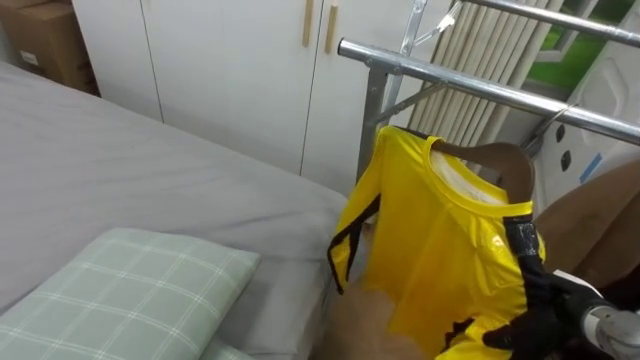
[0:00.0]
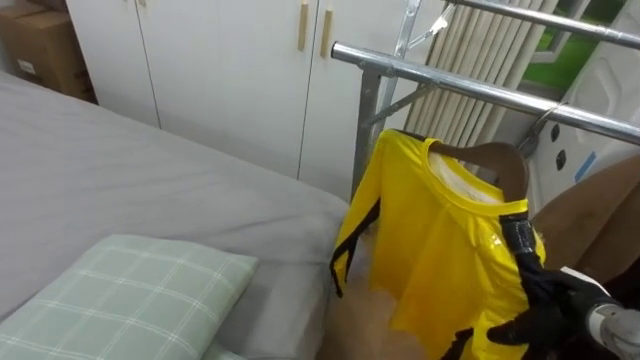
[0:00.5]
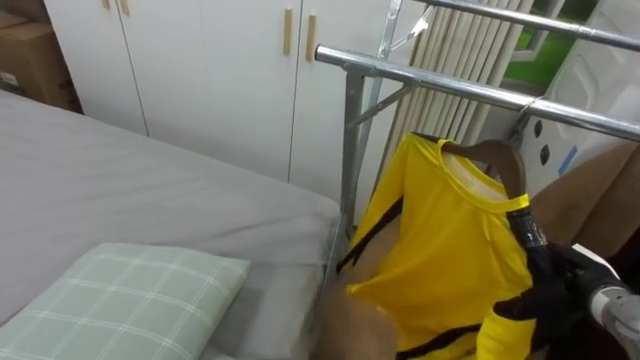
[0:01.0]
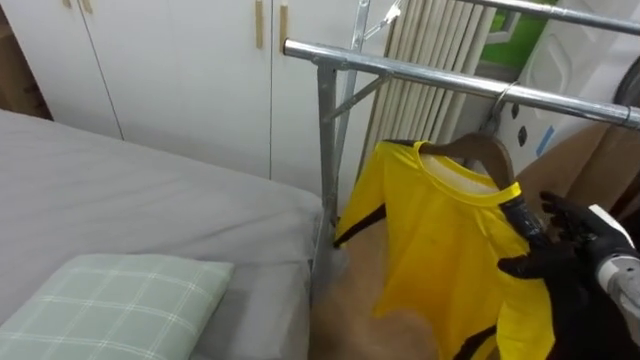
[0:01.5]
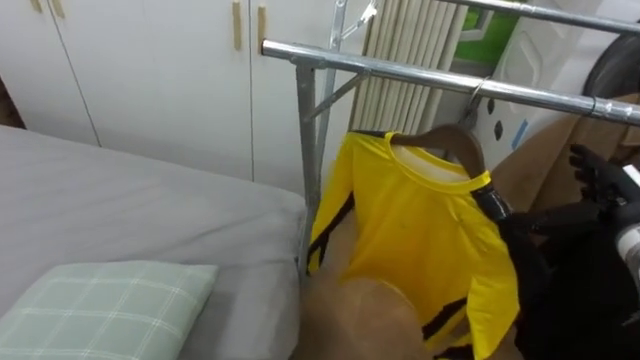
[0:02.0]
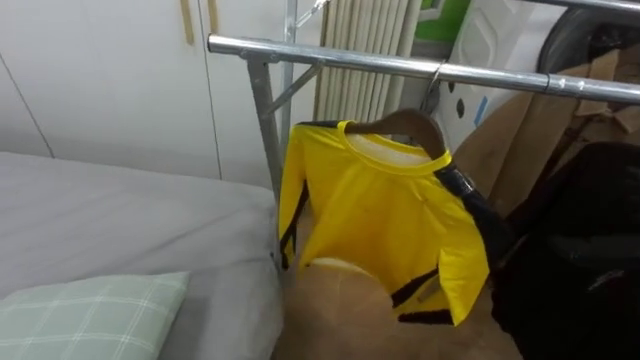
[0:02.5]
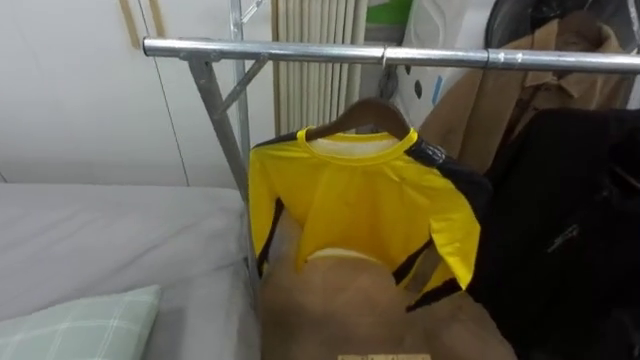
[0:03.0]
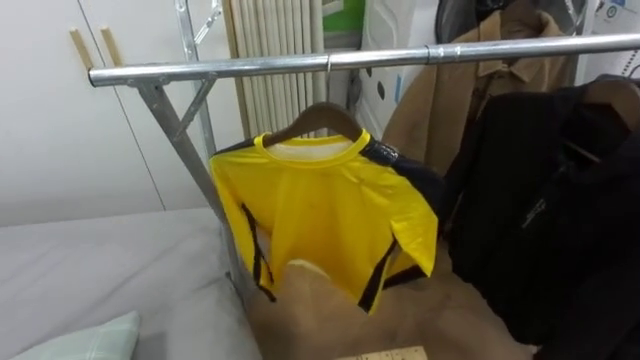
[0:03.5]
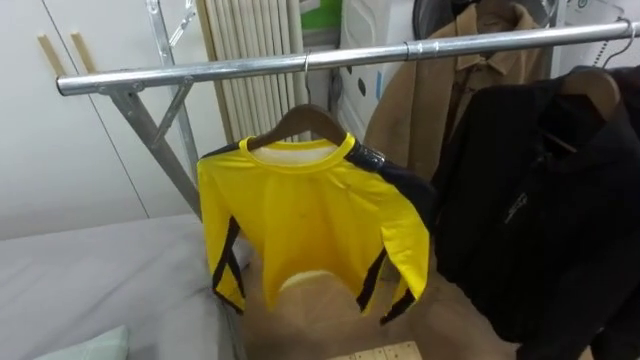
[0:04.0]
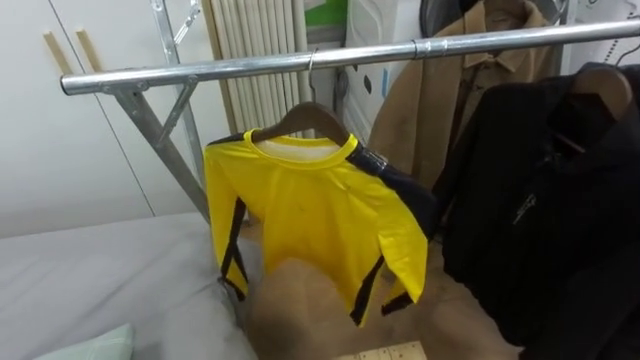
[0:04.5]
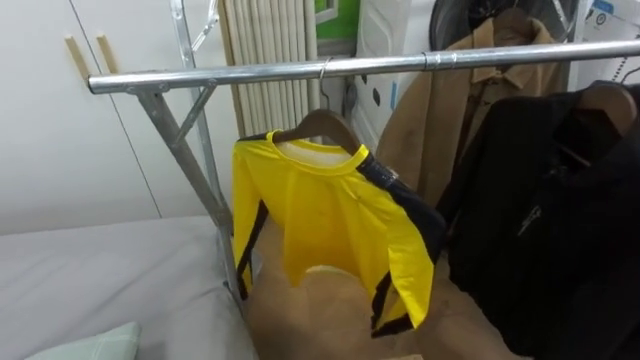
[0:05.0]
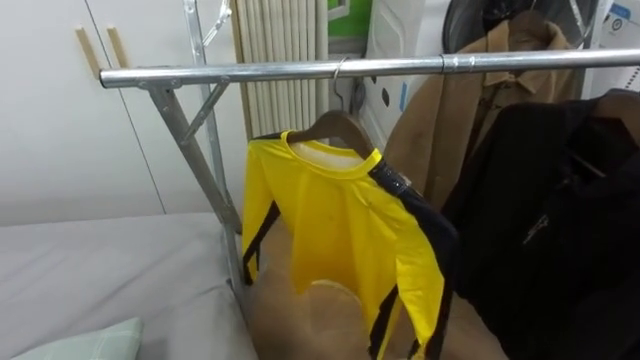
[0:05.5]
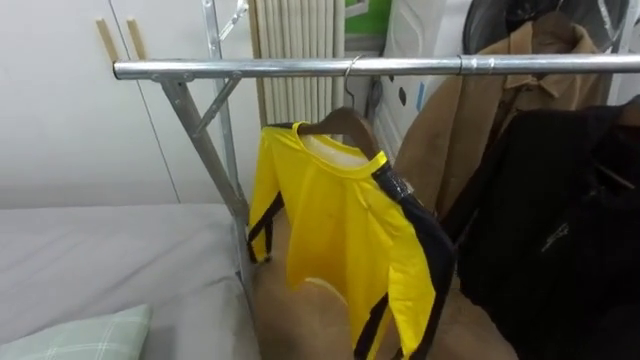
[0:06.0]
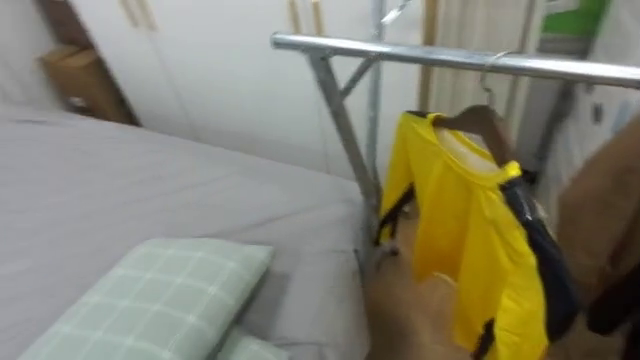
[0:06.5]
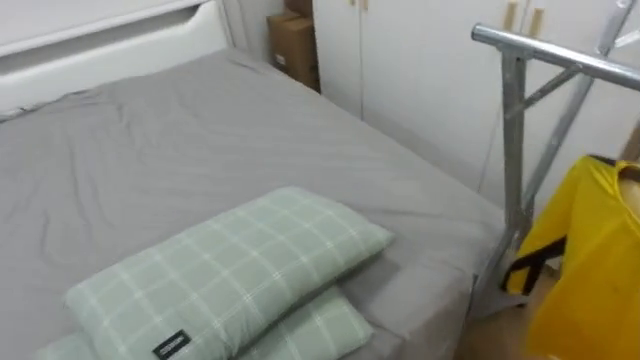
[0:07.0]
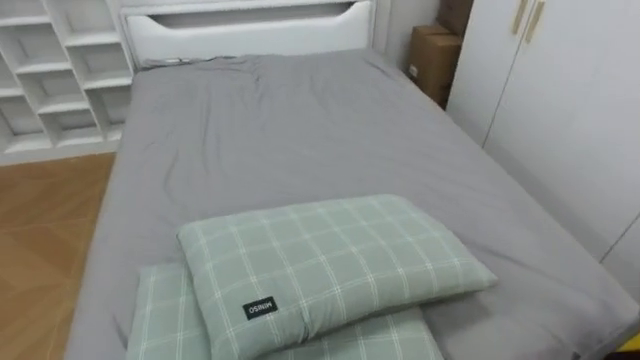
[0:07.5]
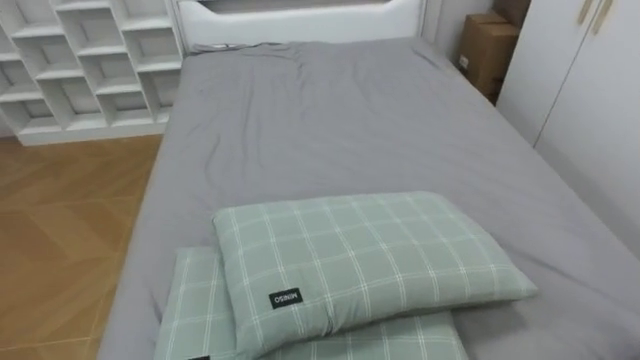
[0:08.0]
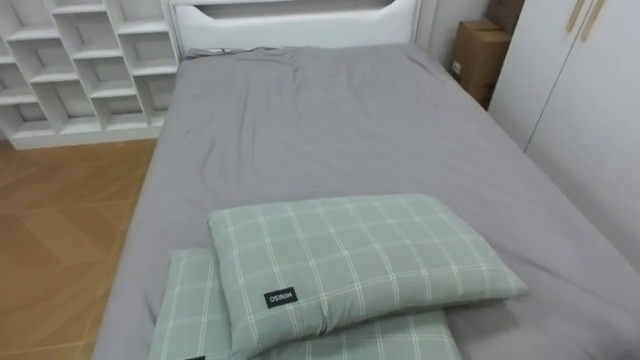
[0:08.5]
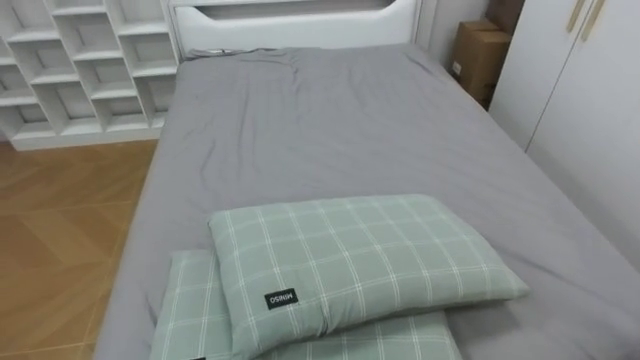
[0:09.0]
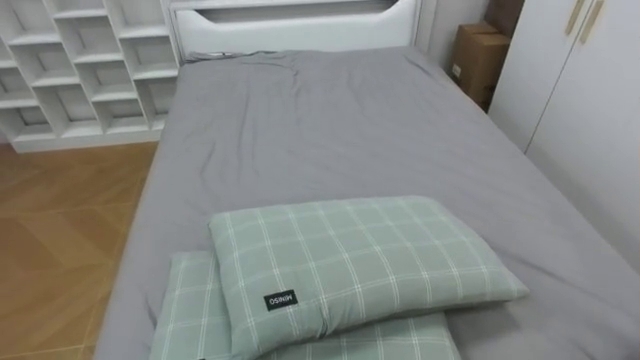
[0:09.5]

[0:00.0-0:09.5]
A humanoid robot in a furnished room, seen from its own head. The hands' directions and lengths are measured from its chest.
Task of the whole recording: Pick up the yellow shirt on the bed and hang it on the clothes rack on the right.
0:00.0 to 0:02.0: The right hand is displaced upward and forward by some 15 cm.
0:05.5 to 0:07.5: The robot rotates about 80 degrees to its left.

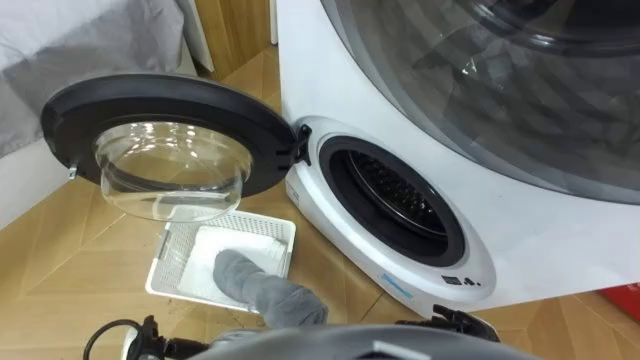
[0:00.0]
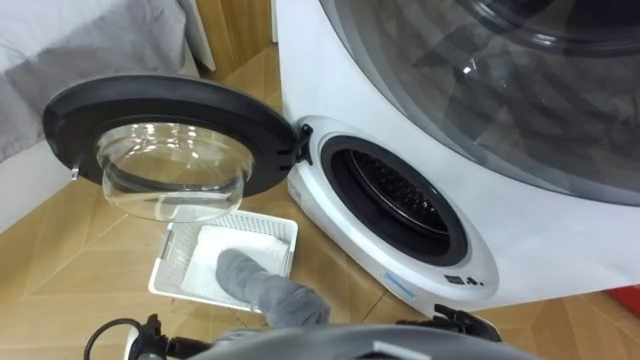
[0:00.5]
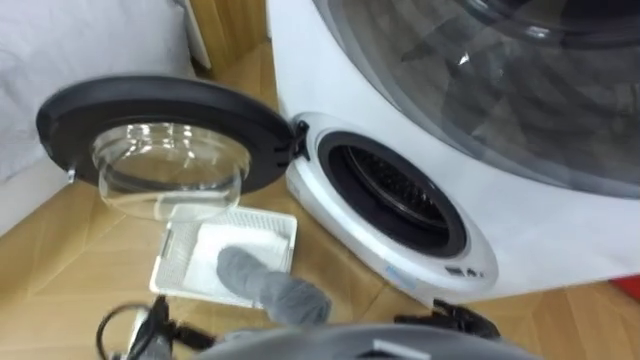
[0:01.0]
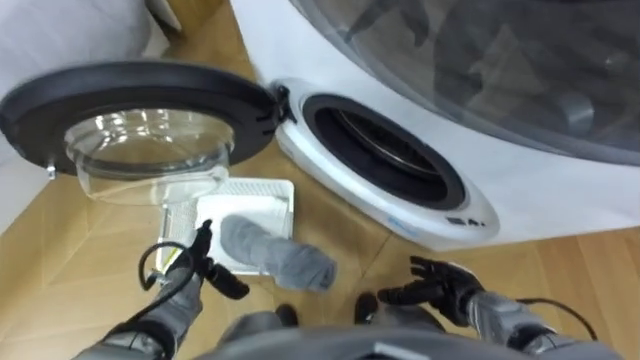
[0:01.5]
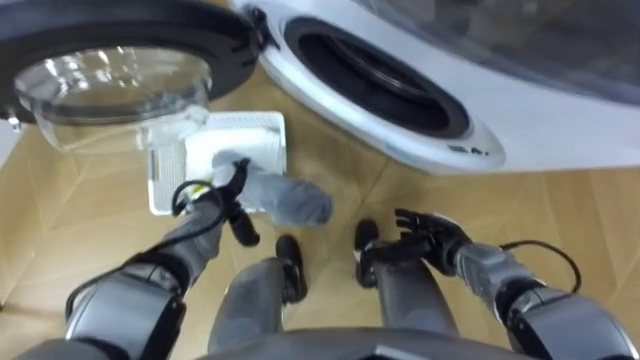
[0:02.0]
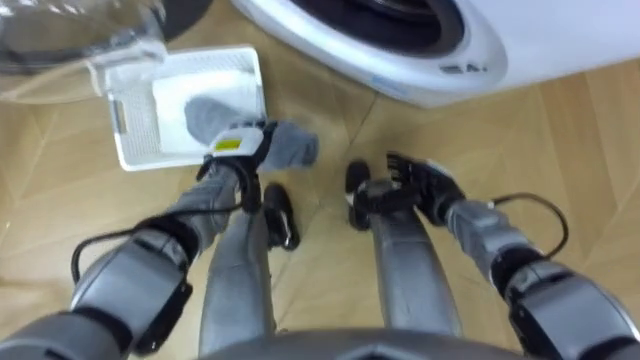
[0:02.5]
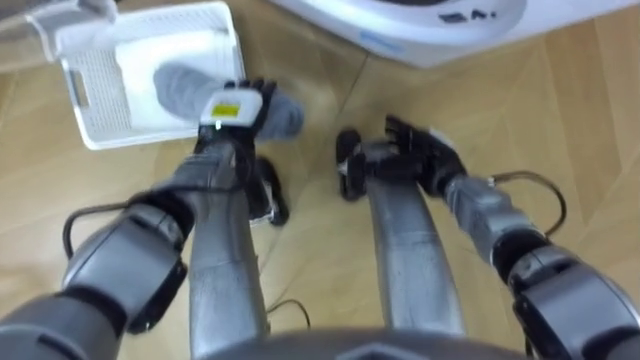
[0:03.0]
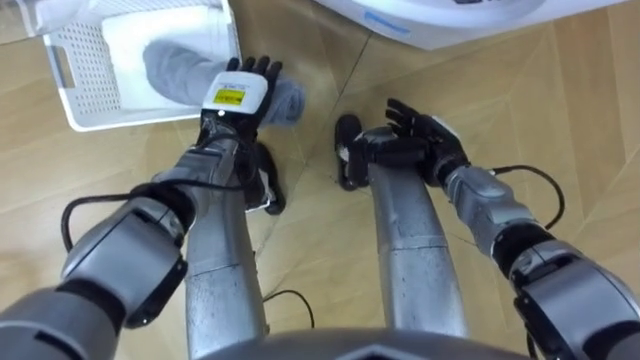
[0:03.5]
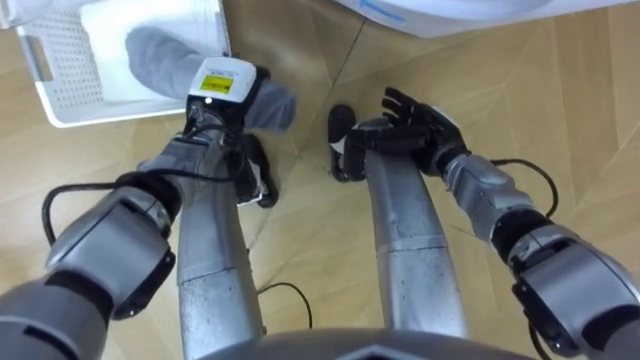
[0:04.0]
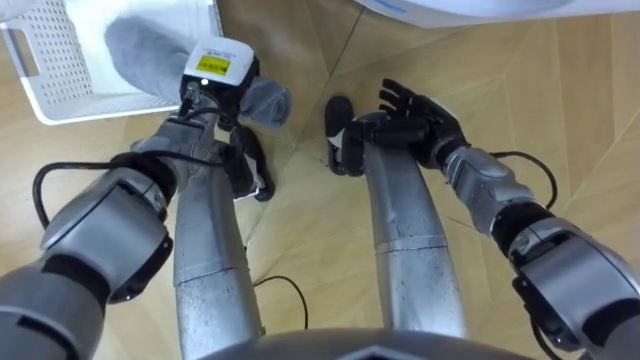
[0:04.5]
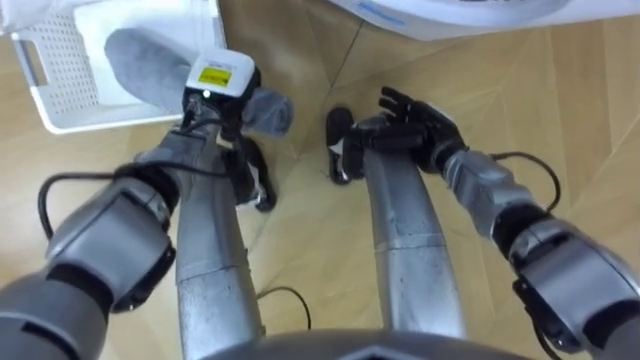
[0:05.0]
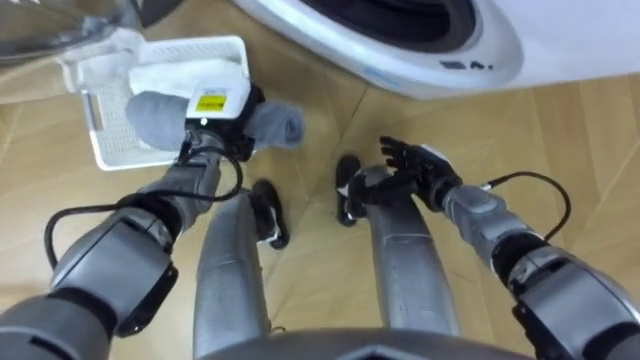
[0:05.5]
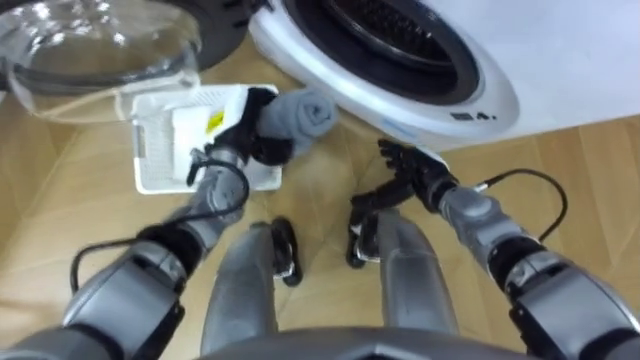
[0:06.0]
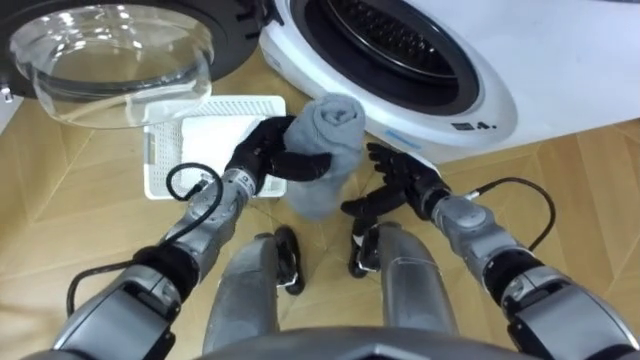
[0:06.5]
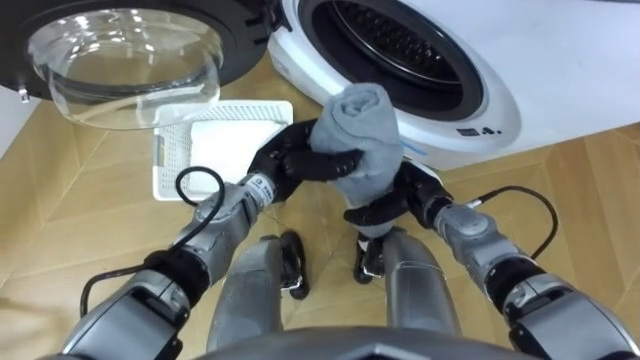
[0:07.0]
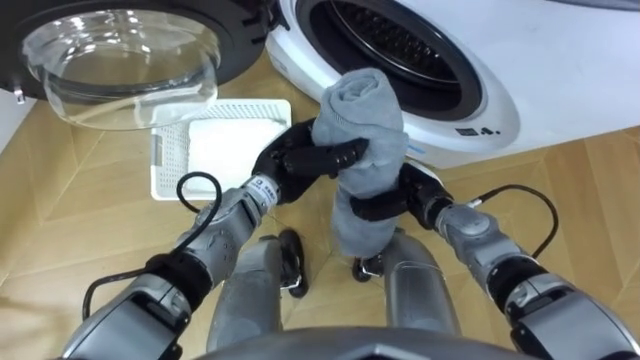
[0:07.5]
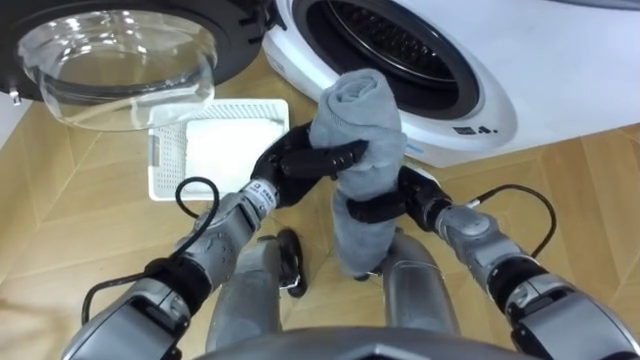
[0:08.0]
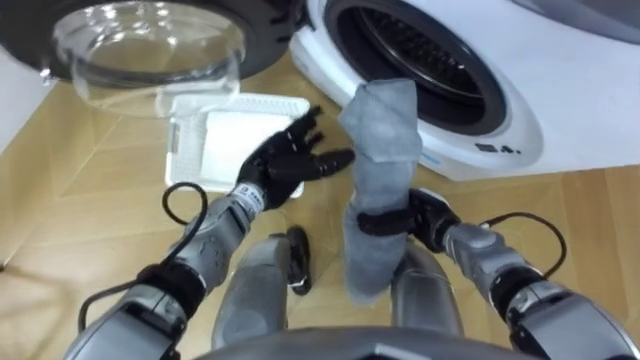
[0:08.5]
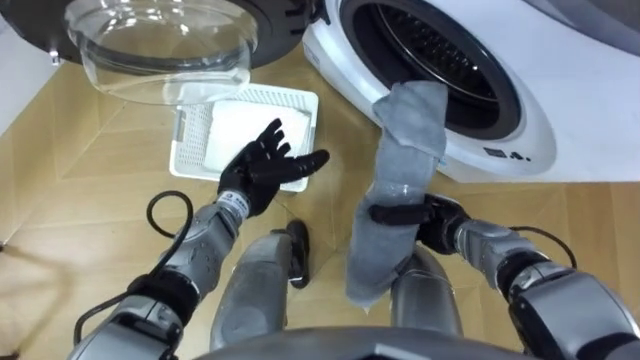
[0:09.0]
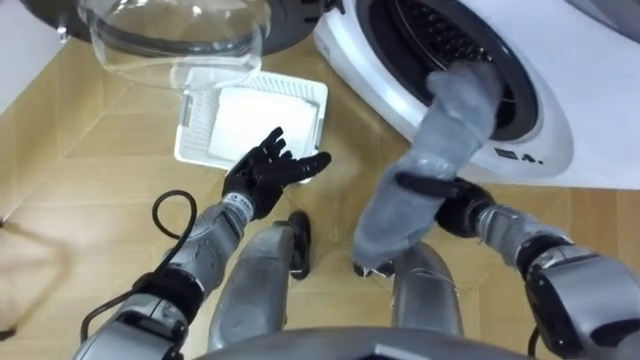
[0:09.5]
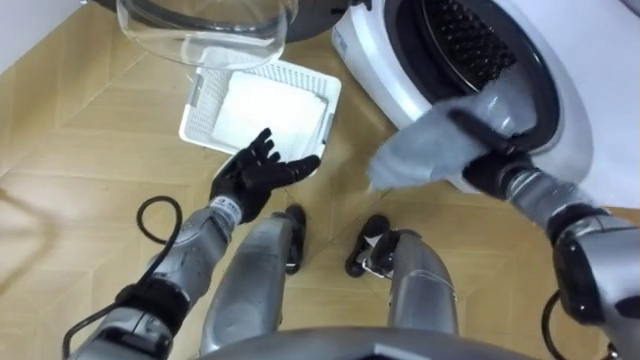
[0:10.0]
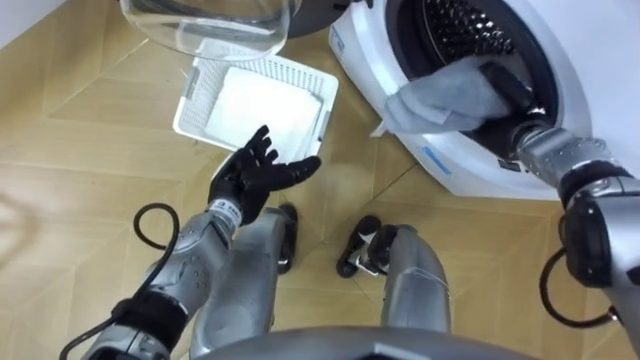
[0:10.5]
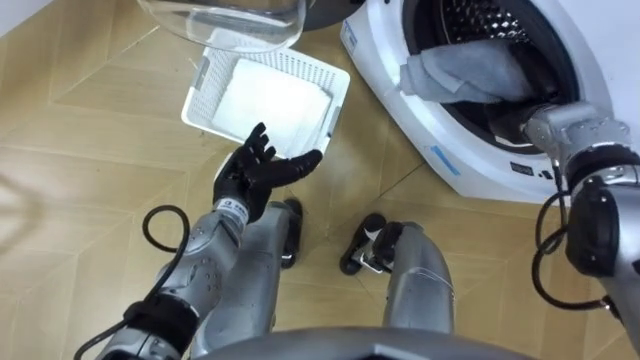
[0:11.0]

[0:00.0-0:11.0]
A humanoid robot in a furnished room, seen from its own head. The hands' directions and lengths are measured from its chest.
Task of the whole recording: Take the towel from the basket and put it into the washing machine.
0:02.0 to 0:03.5: The left hand heads upward and forward, covering approximately 15 cm. Meanwhile the right hand travels forward and upward by roughly 15 cm.
0:03.5 to 0:05.5: The left hand closes up.
0:05.5 to 0:07.5: The right hand closes up. Meanwhile the left hand is displaced to the right and backward by about 10 cm.
0:07.5 to 0:09.0: The left hand is displaced to the left by some 5 cm, and opens its fingers. The right hand ends up approximately 5 cm from where it was.
0:09.0 to 0:11.0: The right hand is displaced forward, to the right and upward by some 20 cm.
